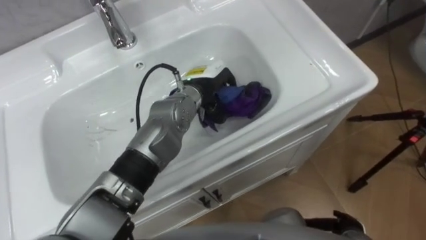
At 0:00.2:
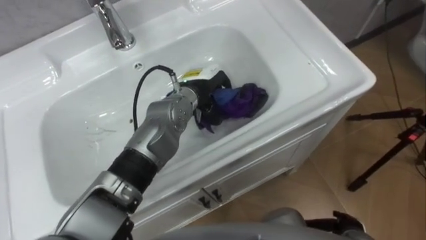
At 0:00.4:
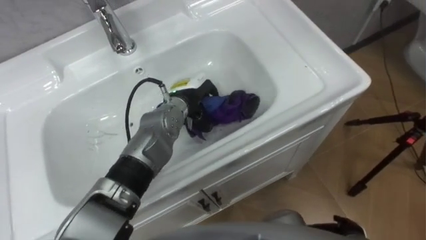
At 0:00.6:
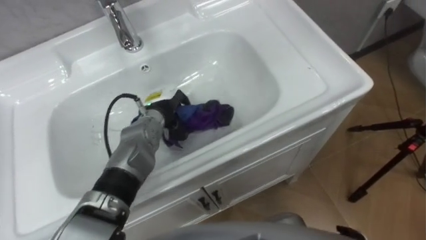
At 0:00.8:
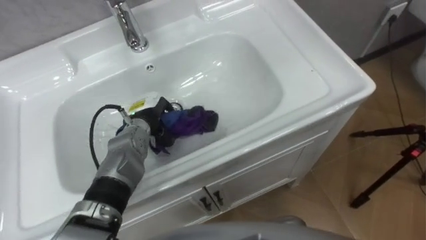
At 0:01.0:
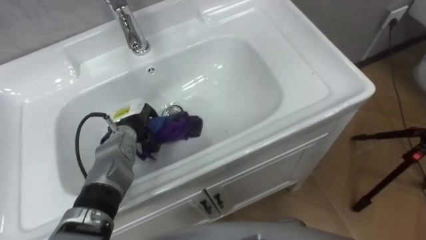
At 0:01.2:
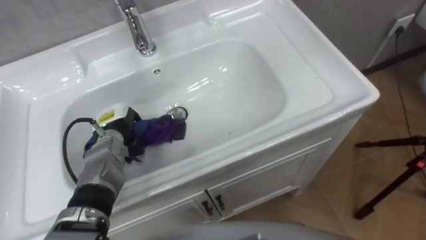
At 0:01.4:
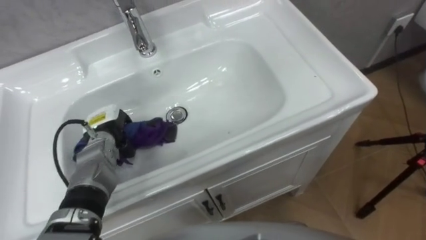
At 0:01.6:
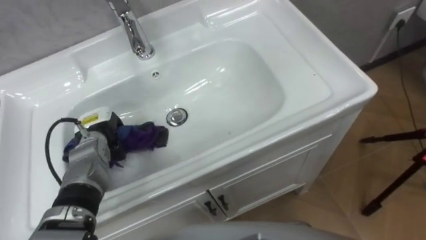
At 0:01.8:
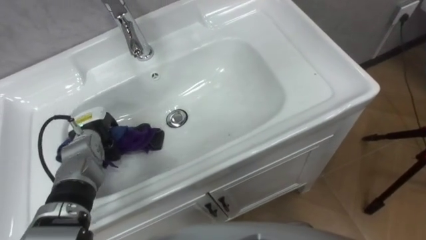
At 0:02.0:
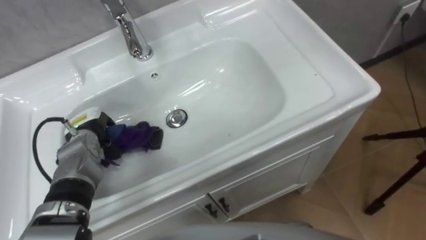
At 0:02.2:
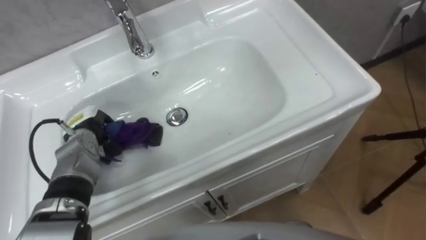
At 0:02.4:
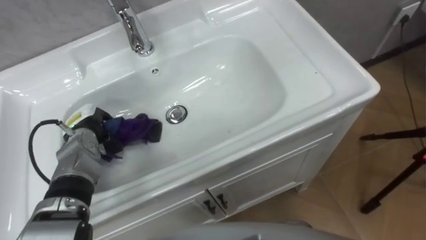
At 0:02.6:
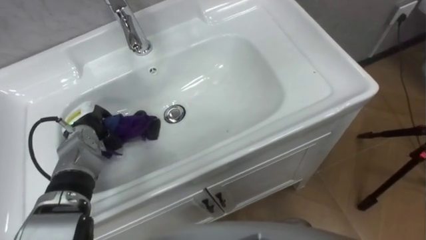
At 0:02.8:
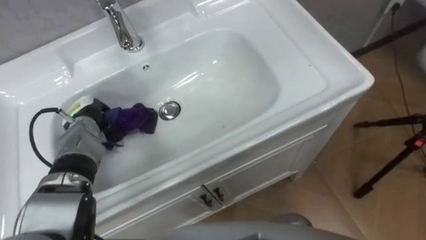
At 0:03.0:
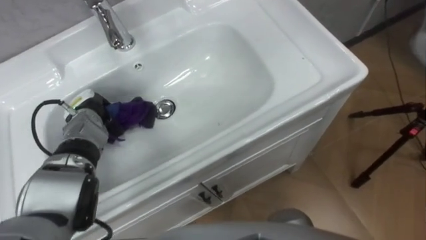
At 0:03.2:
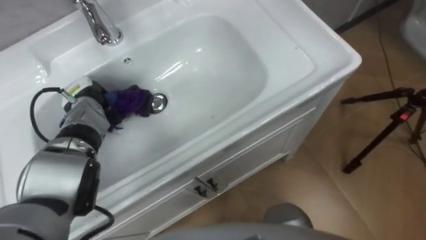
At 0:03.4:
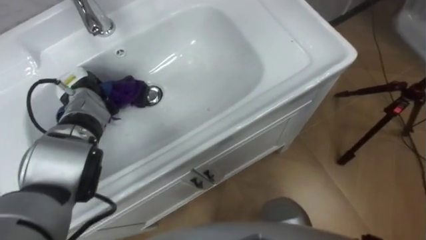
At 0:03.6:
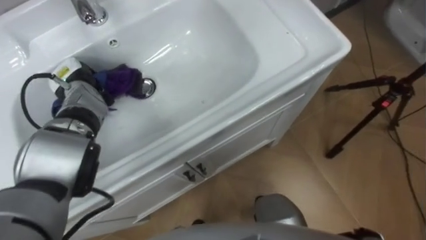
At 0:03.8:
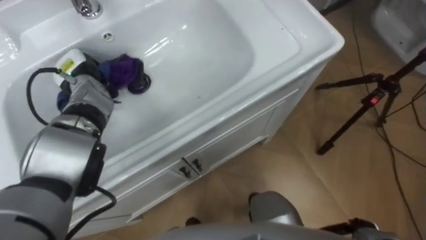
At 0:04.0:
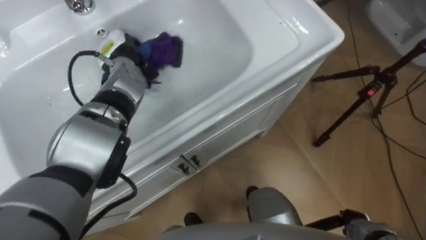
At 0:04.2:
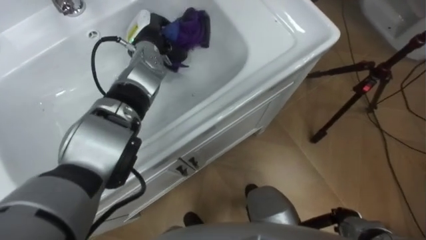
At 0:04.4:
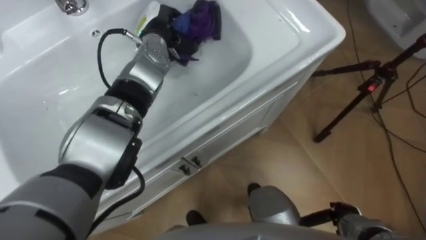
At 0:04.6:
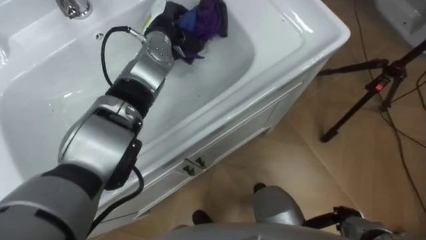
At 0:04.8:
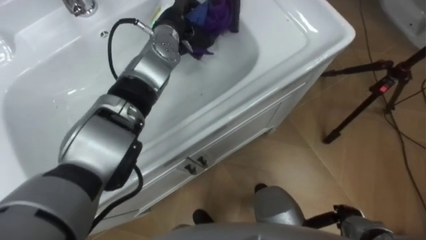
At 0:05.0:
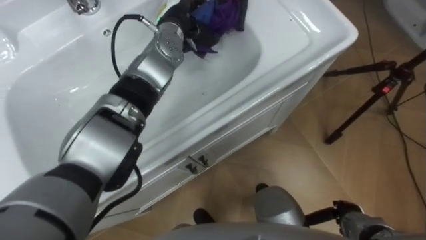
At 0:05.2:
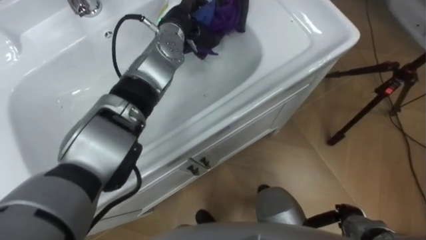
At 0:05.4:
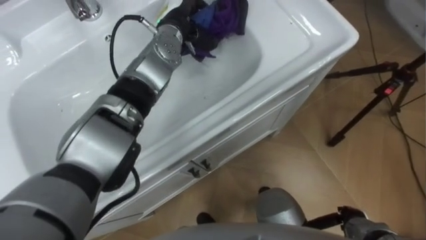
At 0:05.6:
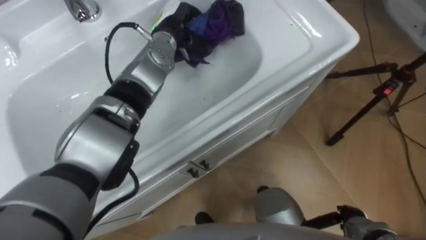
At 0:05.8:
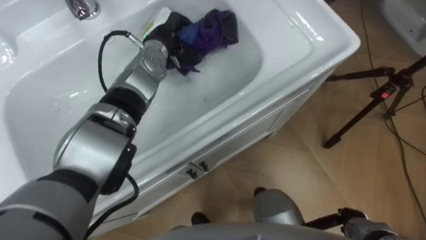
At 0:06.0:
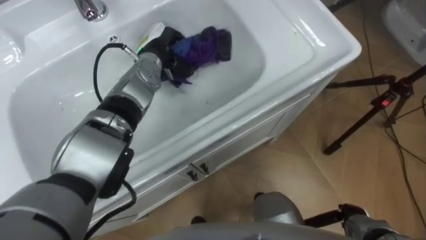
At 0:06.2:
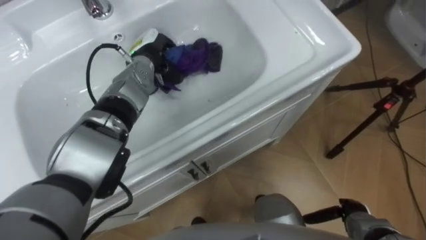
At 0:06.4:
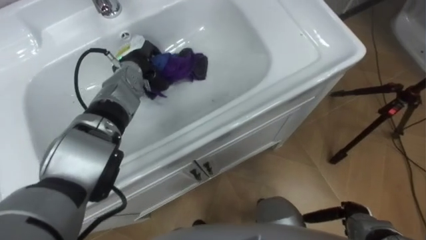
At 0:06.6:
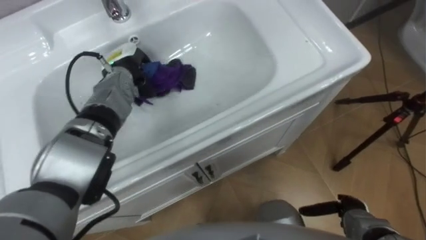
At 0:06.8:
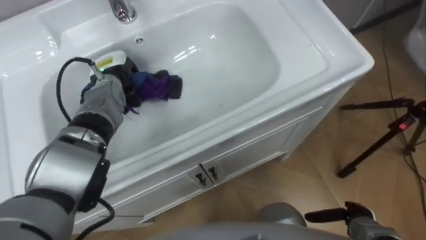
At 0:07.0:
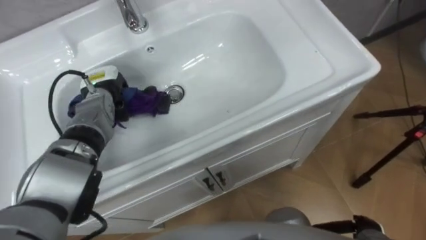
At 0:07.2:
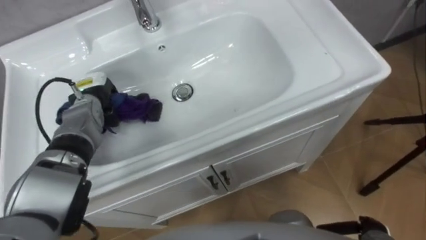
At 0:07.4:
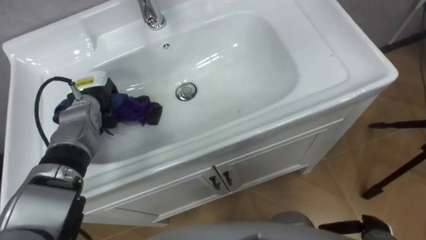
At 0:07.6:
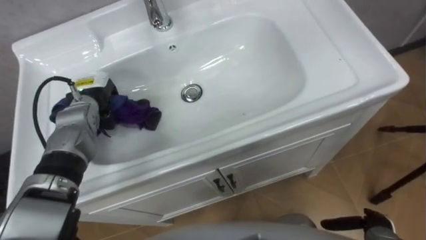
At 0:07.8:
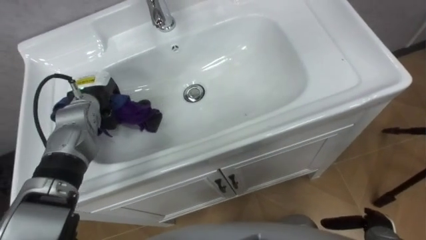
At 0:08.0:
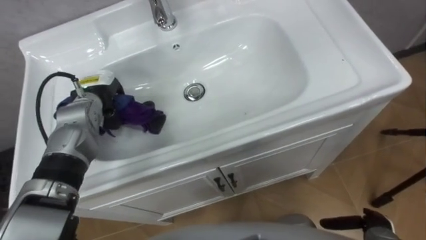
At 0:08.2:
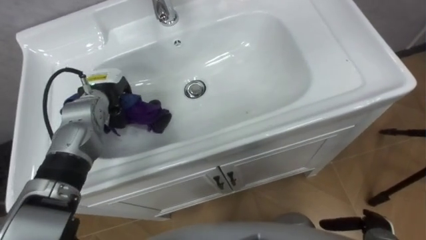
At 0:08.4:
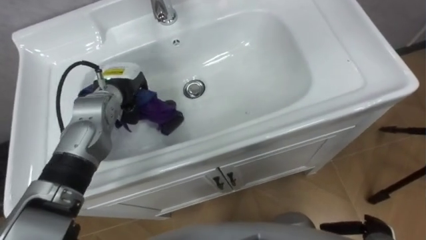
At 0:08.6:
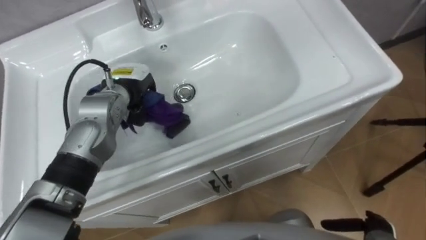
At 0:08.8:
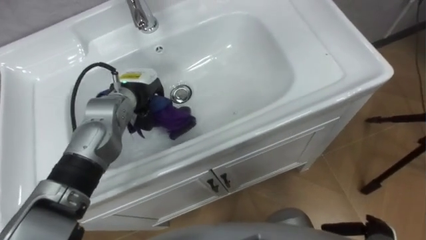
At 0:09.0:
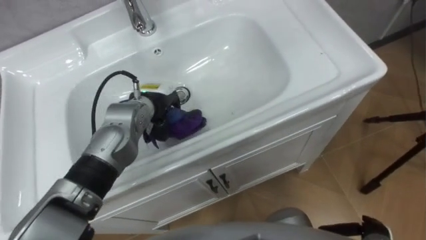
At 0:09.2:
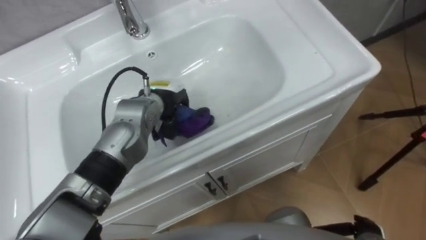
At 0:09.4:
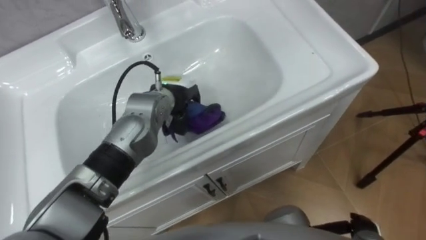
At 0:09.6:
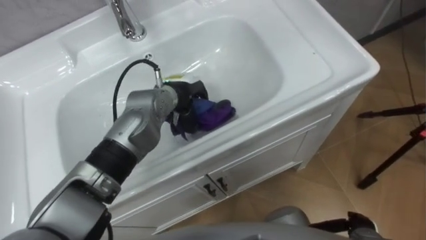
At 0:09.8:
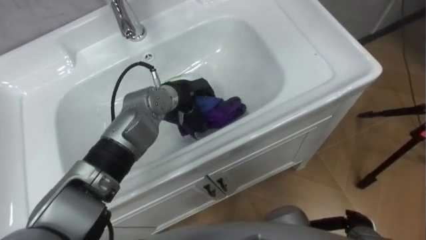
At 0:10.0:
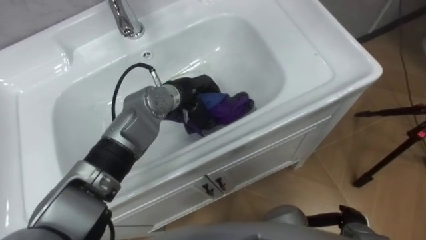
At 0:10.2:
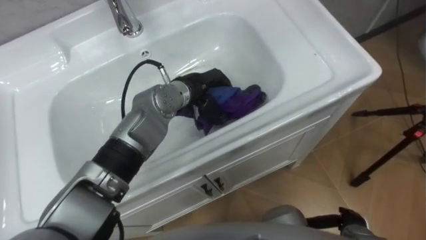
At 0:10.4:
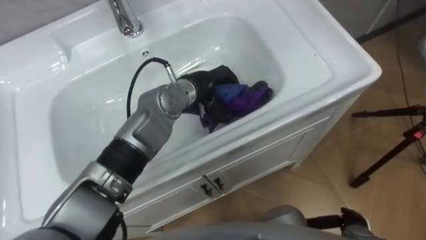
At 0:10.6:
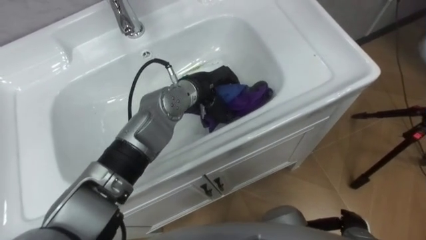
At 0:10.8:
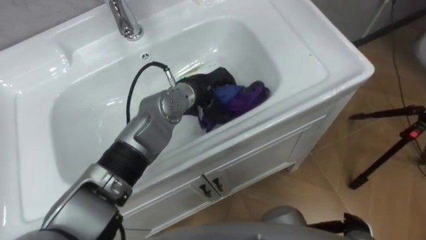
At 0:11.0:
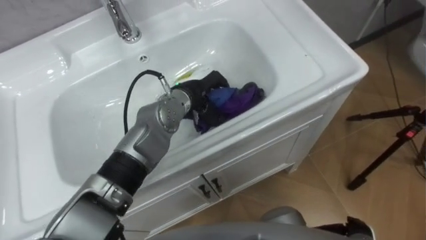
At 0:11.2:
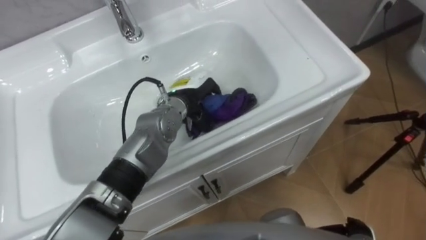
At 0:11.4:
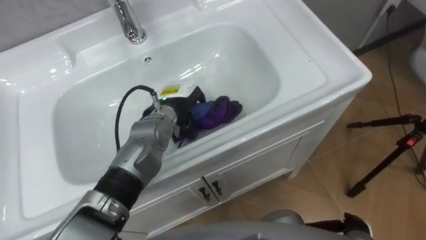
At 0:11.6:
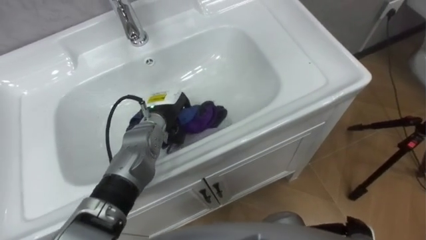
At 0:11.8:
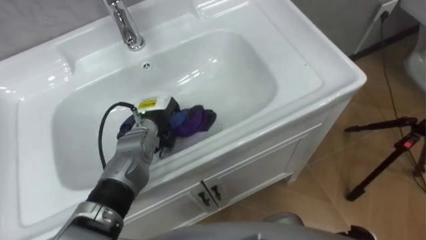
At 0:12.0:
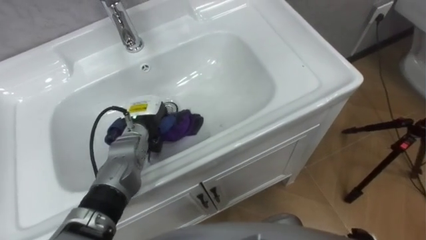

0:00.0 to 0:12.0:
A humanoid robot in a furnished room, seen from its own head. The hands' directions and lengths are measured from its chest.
Task of the whole recording: Use the cloth on the right to wipe away the black stain in the sink.
0:00.0 to 0:01.6: The left hand heads to the left, covering about 25 cm.
0:03.0 to 0:04.4: The left hand travels to the right, forward and upward by about 25 cm.
0:06.0 to 0:07.6: The left hand shifts roughly 15 cm to the left and backward.
0:07.6 to 0:09.0: The left hand travels to the right by approximately 15 cm.
0:09.0 to 0:10.4: The left hand travels to the right by some 10 cm.
0:10.4 to 0:12.0: The left hand heads to the left and downward, covering approximately 15 cm.

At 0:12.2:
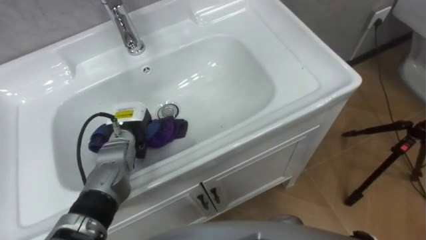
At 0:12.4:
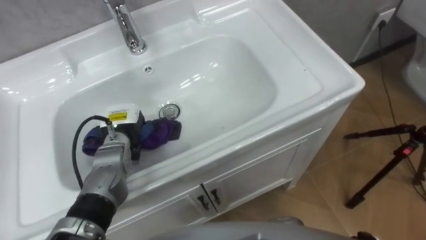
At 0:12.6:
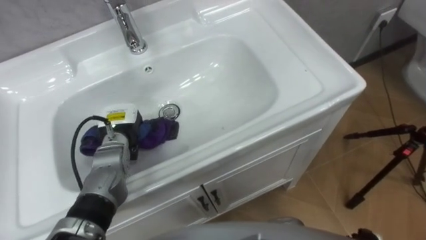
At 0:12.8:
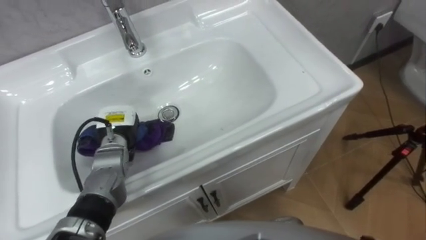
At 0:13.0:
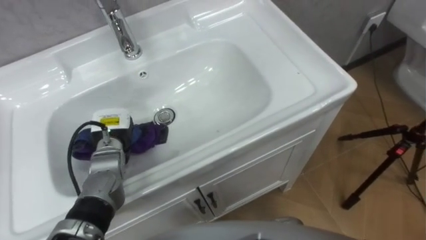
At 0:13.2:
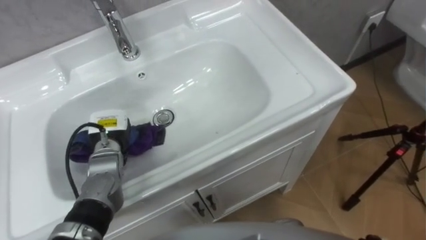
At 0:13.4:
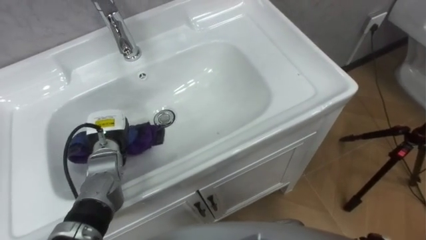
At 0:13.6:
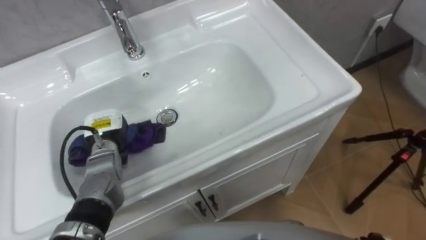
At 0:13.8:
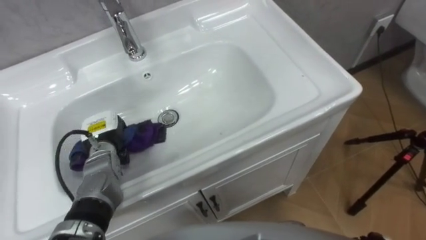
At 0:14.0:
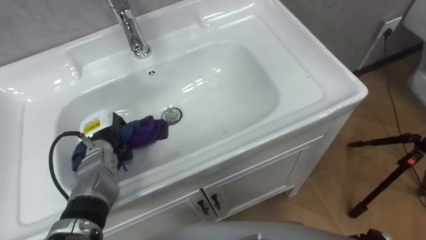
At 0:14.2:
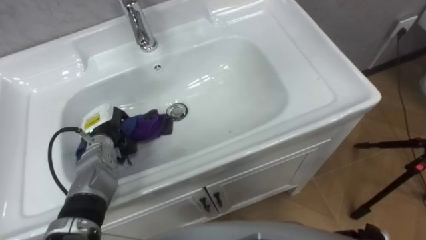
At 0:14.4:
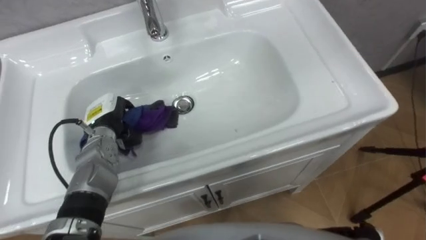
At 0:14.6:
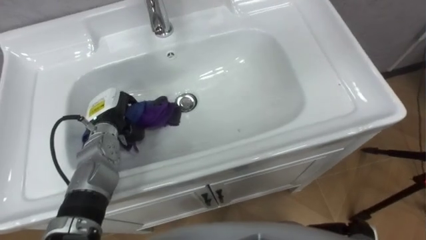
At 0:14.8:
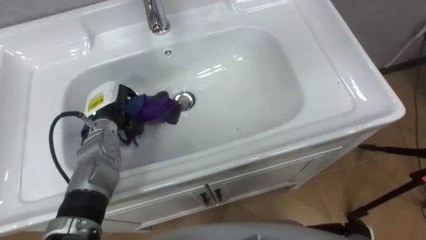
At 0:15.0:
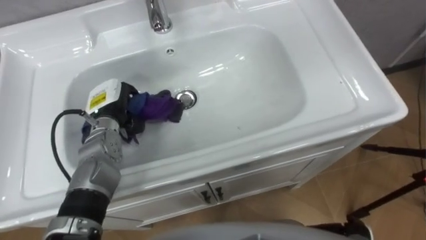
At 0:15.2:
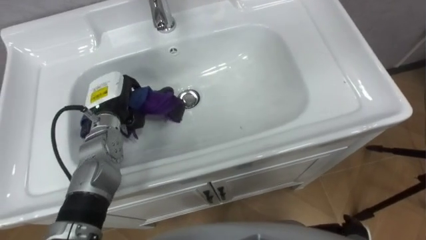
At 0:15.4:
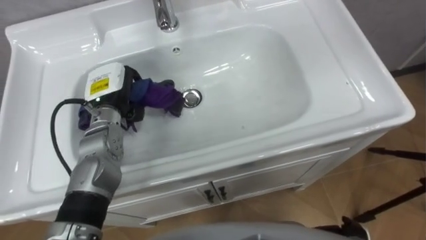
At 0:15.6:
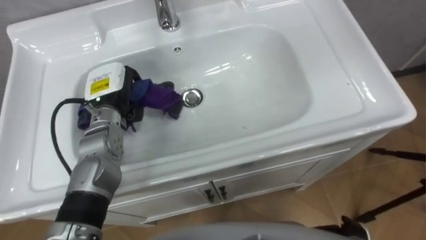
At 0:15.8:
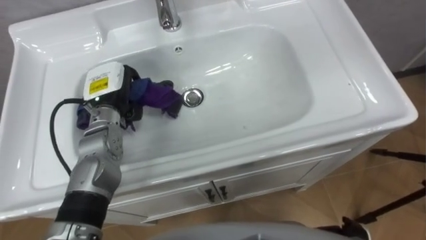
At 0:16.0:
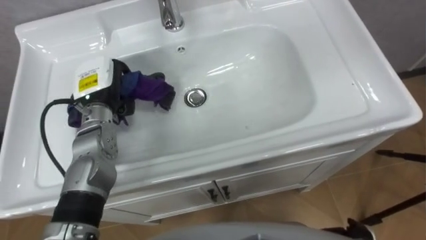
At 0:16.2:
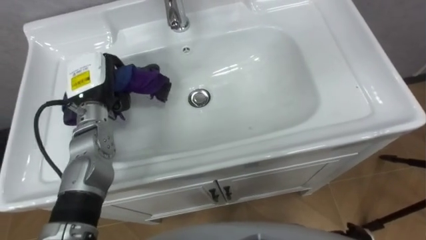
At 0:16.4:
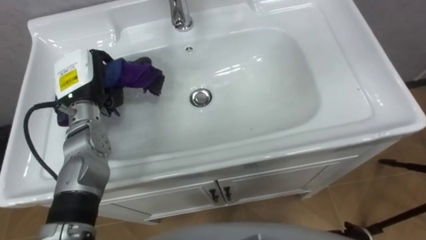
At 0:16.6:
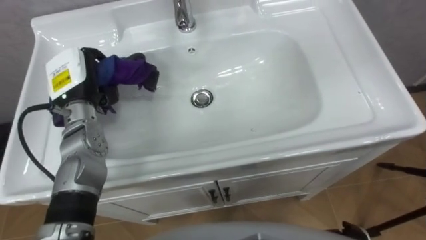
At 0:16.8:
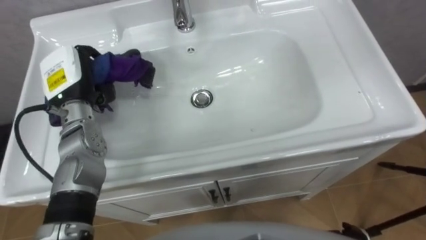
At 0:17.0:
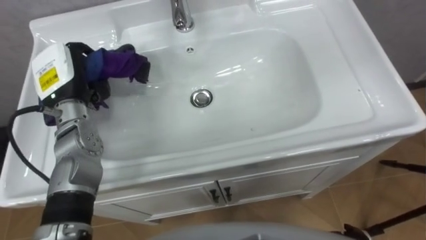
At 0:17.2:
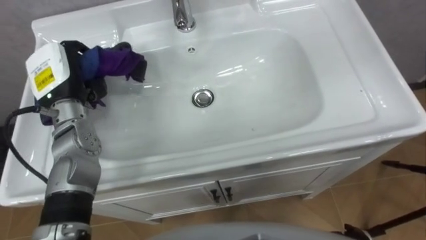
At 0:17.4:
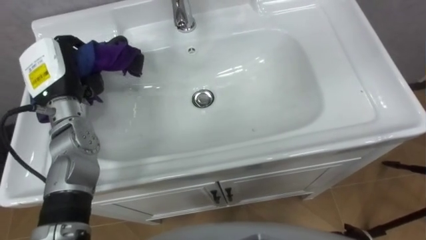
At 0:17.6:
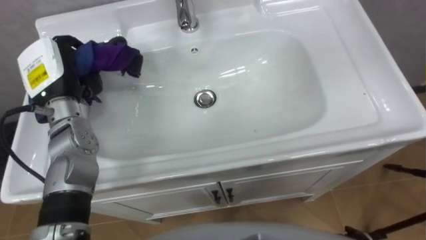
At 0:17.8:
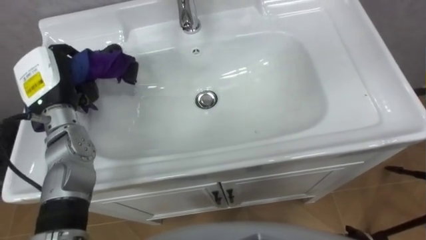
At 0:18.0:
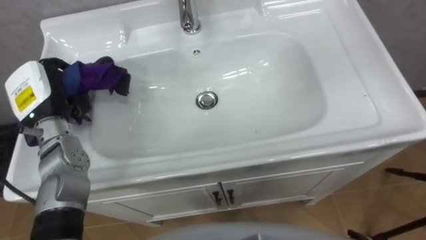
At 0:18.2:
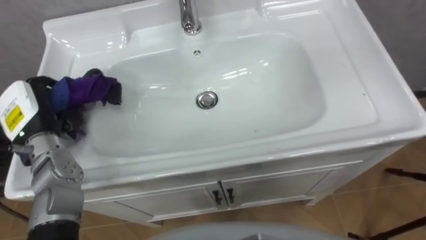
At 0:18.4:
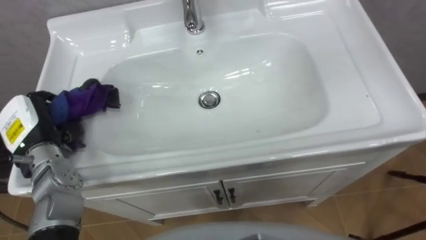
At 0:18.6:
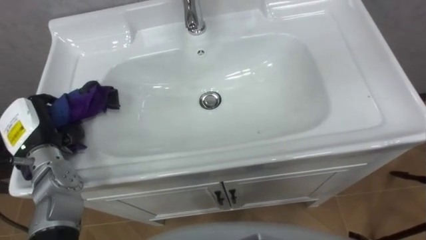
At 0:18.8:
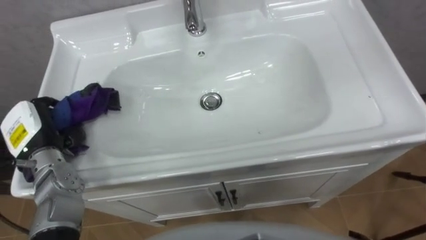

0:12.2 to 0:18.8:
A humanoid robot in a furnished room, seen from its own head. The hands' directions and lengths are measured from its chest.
Task of the whole recording: Use the cloth on the right to wipe away the black stain in the sink.
0:12.2 to 0:13.8: The left hand moves to the left, roughly 5 cm.
0:13.8 to 0:15.4: The left hand moves upward and forward, roughly 10 cm.
0:15.4 to 0:17.2: The left hand moves to the left and upward, approximately 10 cm.
0:17.2 to 0:18.8: The left hand goes roughly 10 cm backward, downward and to the left.
